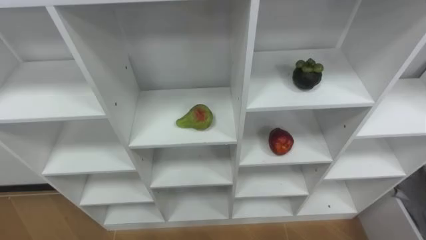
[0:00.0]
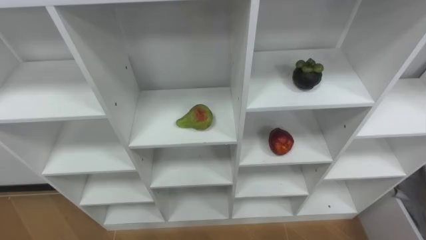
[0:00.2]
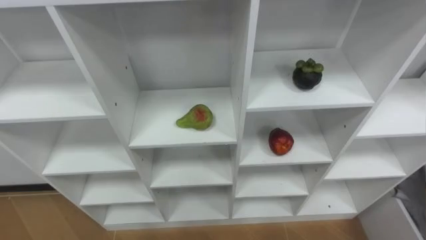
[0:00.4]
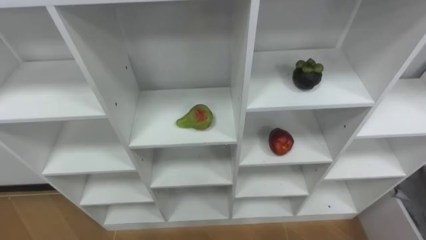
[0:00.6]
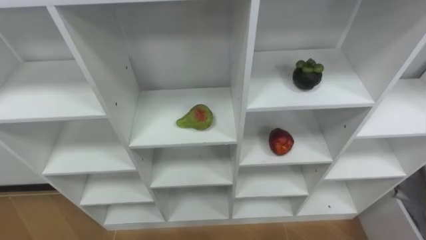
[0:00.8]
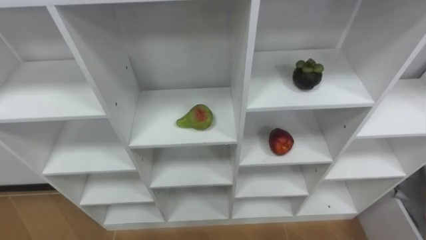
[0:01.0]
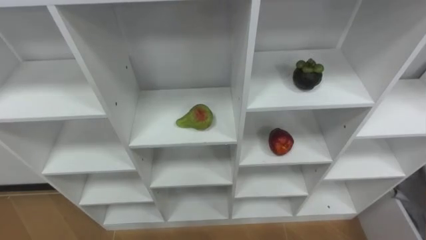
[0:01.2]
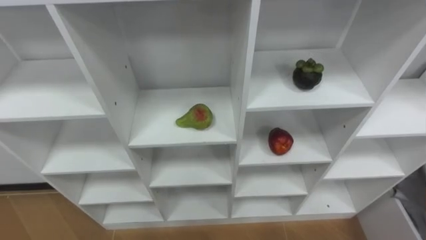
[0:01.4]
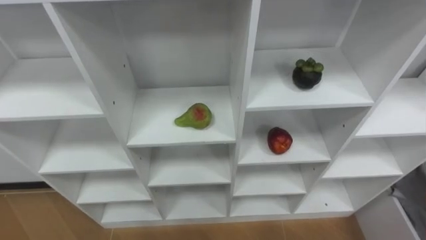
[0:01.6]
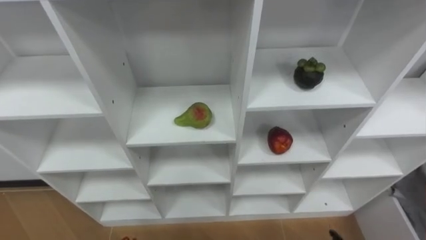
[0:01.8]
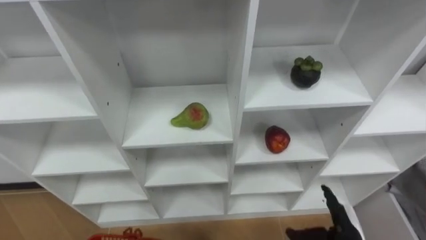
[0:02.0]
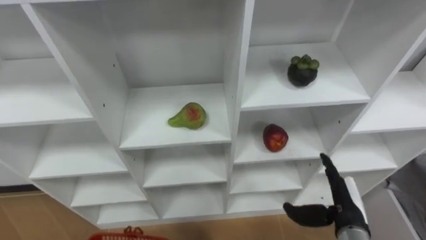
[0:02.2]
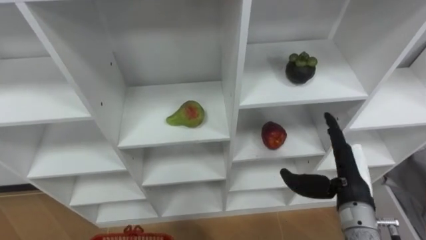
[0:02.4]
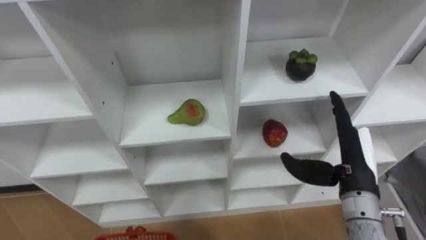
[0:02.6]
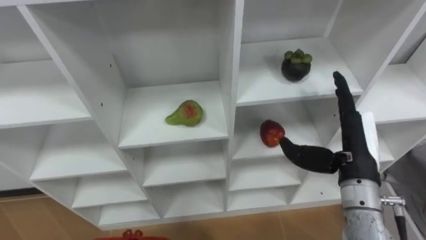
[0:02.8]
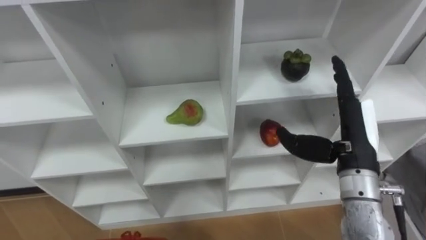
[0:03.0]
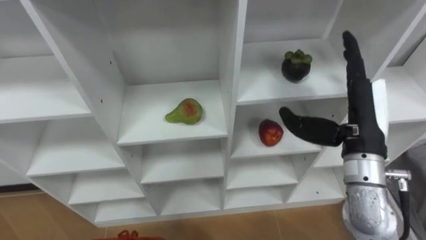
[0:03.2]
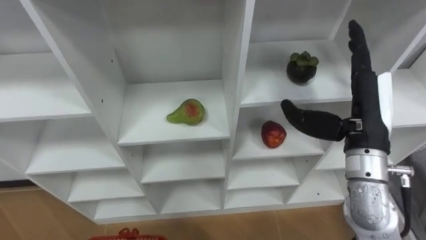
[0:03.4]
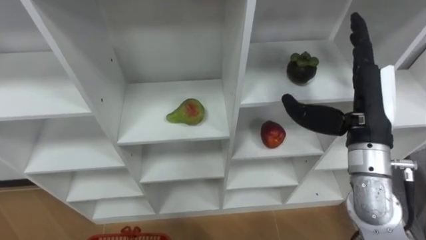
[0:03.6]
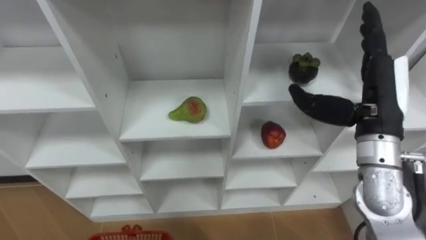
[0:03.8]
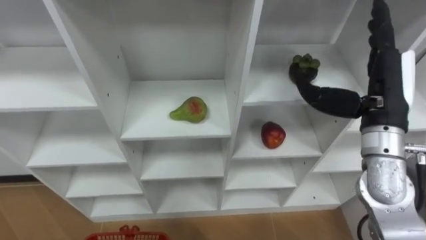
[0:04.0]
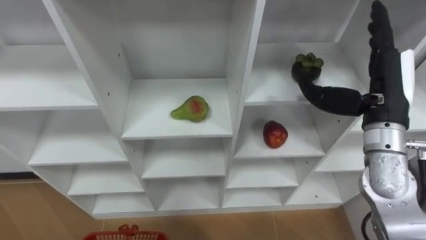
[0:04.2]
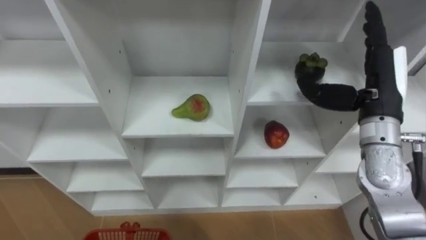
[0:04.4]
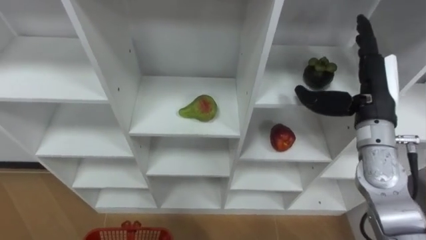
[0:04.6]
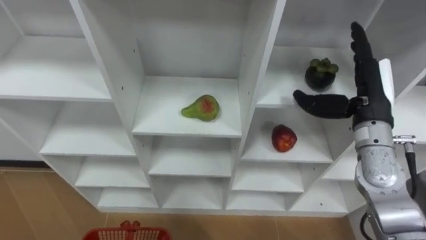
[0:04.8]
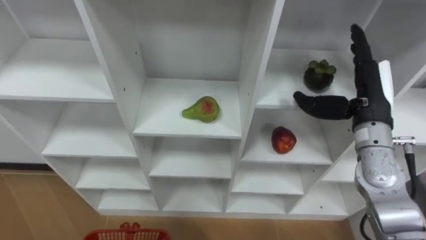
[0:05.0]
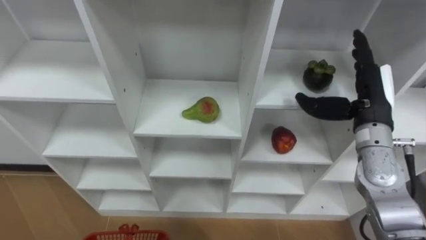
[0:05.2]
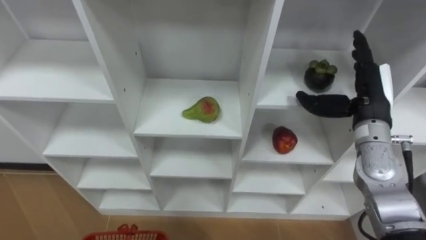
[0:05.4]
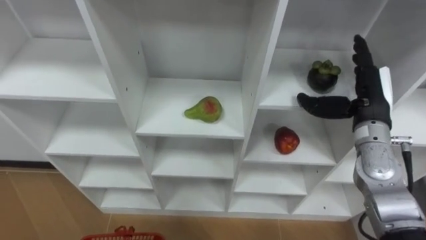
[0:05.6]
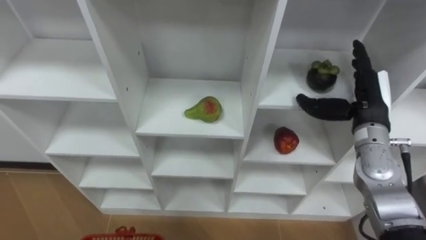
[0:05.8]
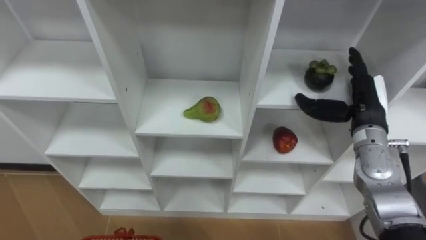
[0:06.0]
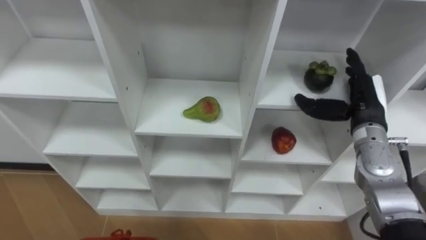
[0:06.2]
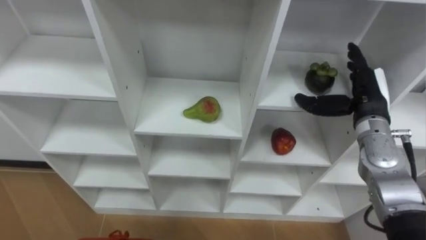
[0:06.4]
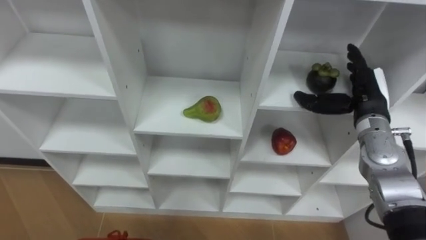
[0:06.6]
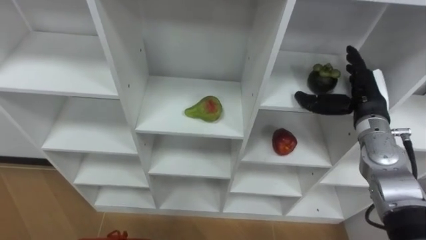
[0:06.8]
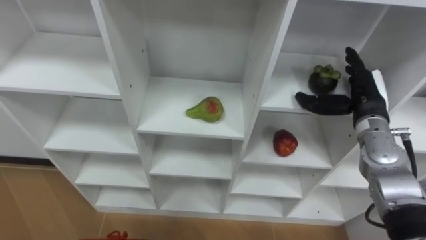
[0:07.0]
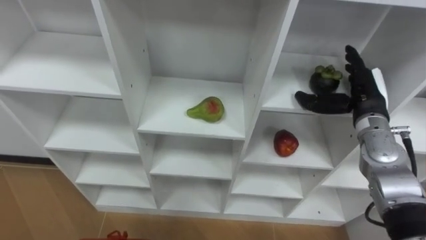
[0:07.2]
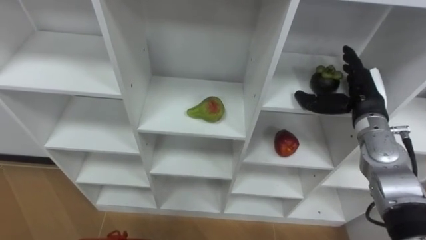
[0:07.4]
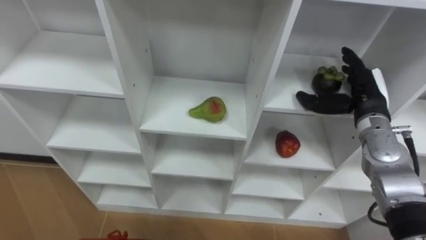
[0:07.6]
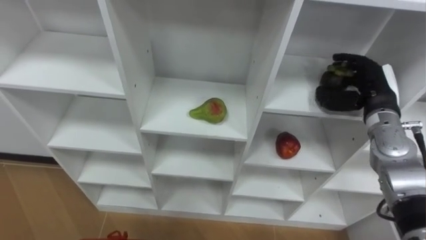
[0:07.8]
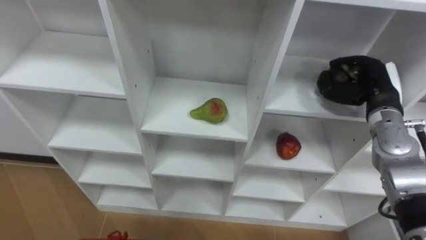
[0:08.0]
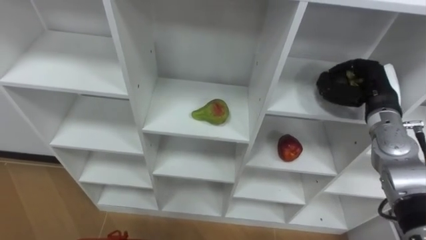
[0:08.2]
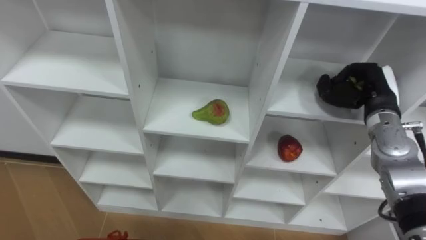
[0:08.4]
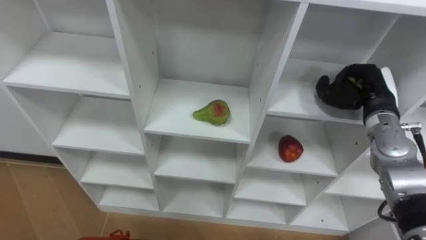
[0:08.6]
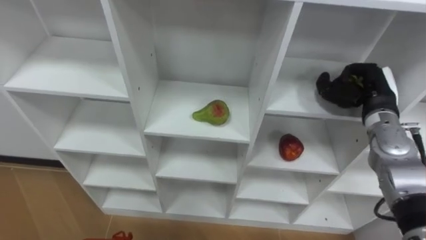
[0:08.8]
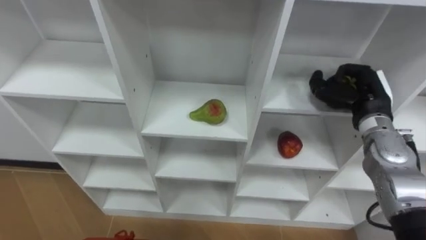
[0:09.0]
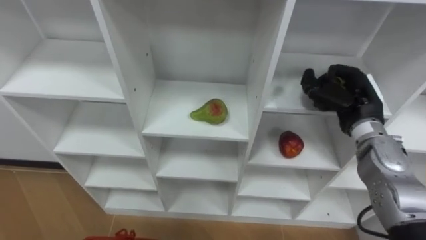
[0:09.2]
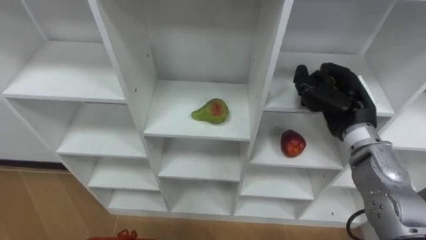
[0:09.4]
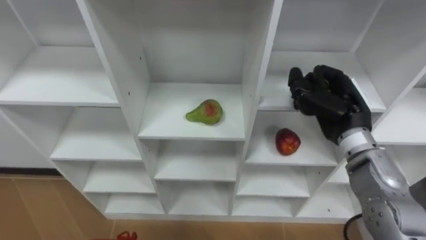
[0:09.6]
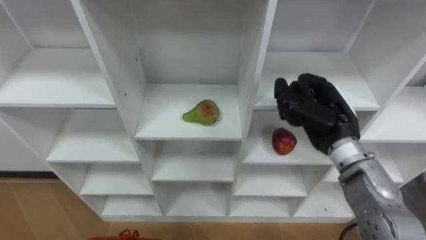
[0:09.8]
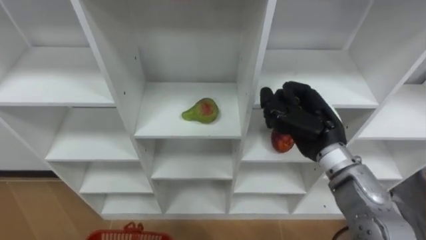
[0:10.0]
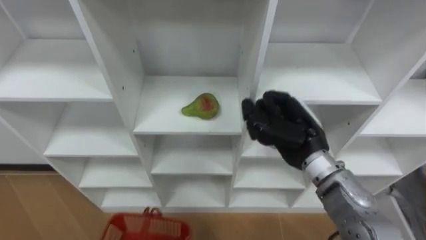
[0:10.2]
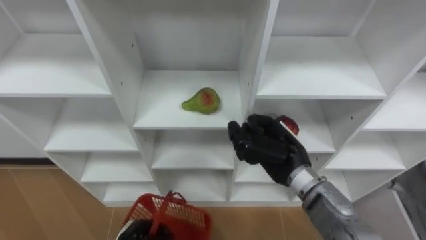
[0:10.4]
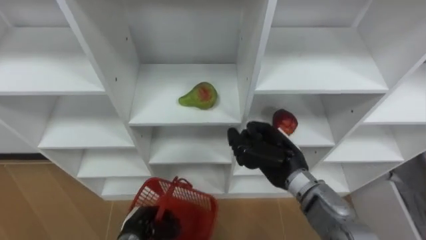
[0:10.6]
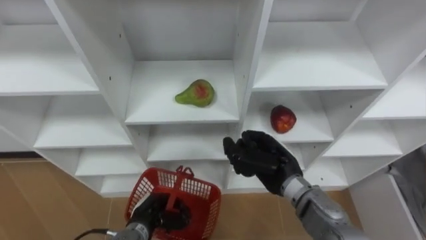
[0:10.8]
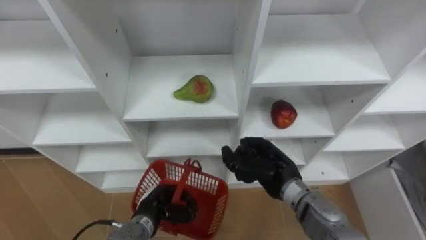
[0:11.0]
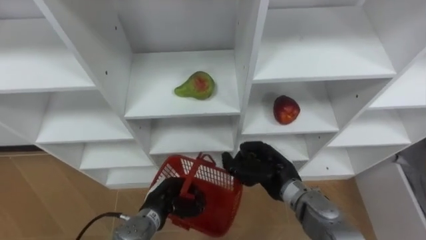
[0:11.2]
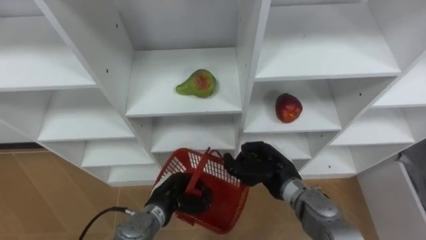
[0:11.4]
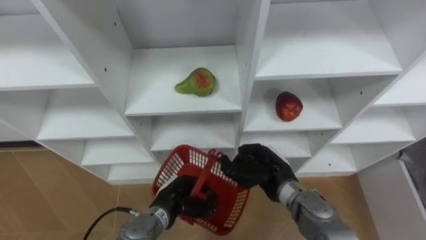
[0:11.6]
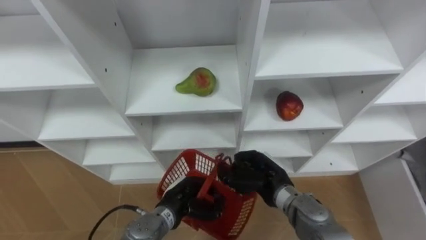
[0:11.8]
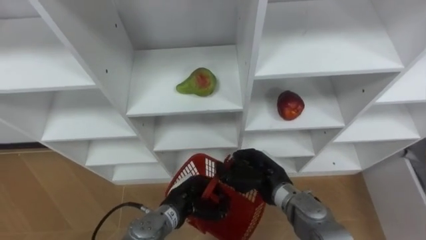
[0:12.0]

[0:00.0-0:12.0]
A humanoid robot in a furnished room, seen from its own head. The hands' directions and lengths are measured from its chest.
Task of the whole recording: Hold the basket and collect the fruits from 3 different cells of the closet into it.
0:03.0 to 0:04.4: The right hand heads forward, covering roughly 5 cm.
0:04.4 to 0:06.0: The right hand heads downward, covering approximately 10 cm.
0:07.6 to 0:09.0: The right hand closes.
0:09.0 to 0:10.4: The right hand heads to the left and backward, covering approximately 15 cm.
0:10.4 to 0:12.0: The right hand moves downward, roughly 10 cm.

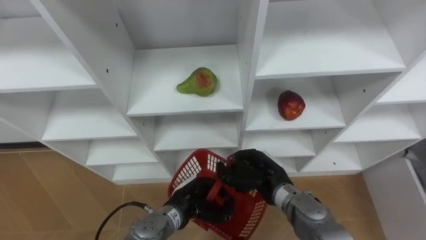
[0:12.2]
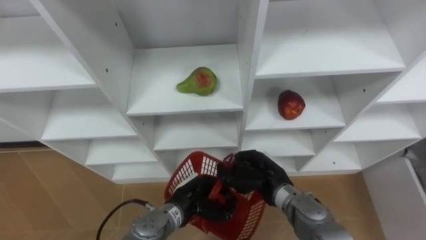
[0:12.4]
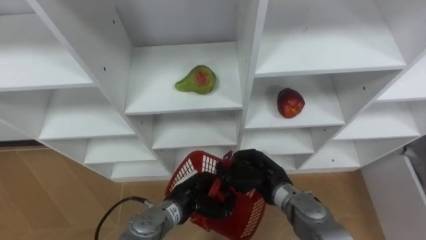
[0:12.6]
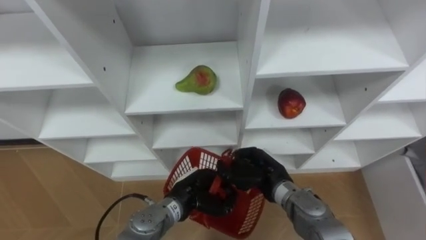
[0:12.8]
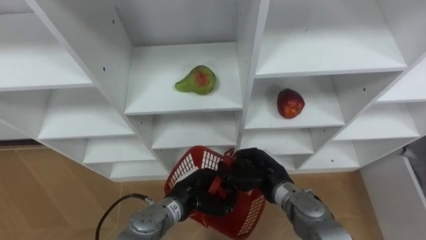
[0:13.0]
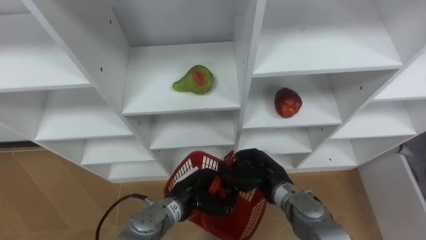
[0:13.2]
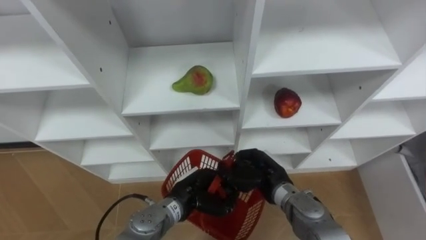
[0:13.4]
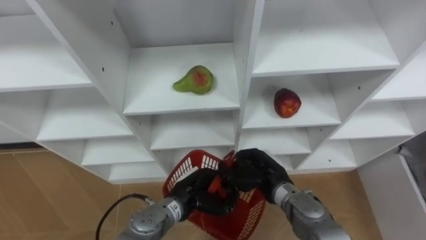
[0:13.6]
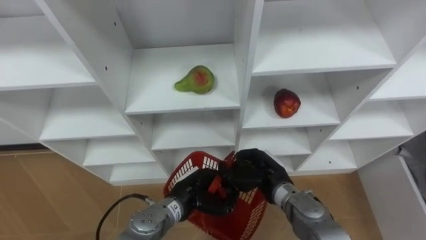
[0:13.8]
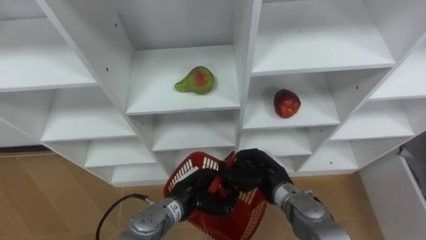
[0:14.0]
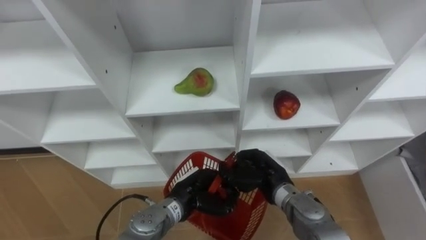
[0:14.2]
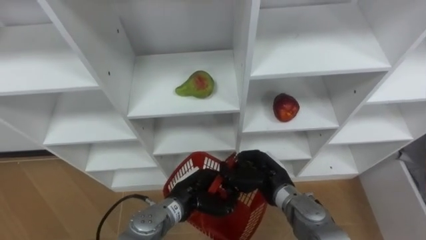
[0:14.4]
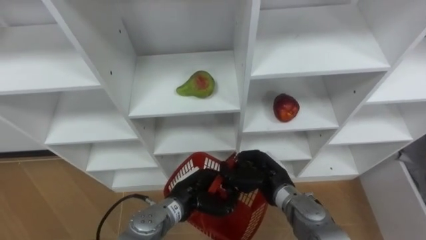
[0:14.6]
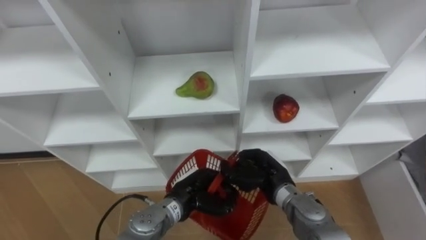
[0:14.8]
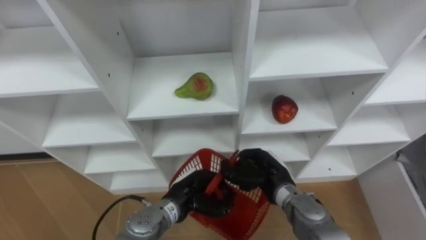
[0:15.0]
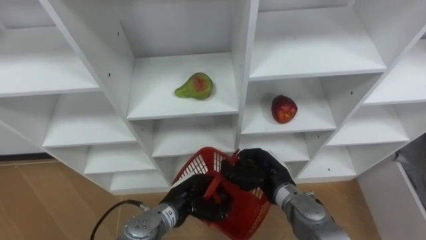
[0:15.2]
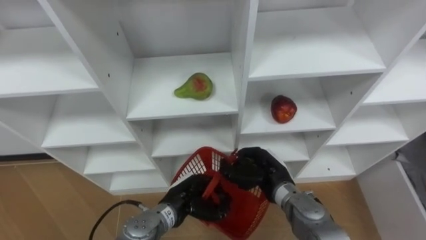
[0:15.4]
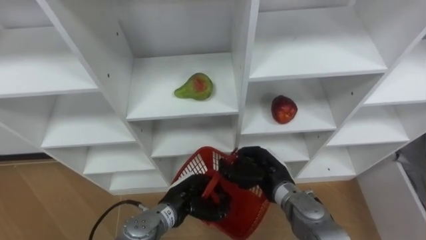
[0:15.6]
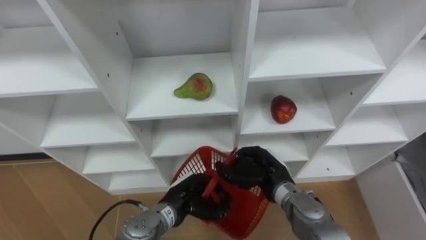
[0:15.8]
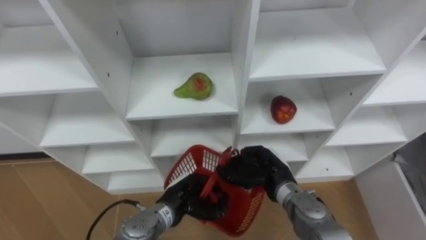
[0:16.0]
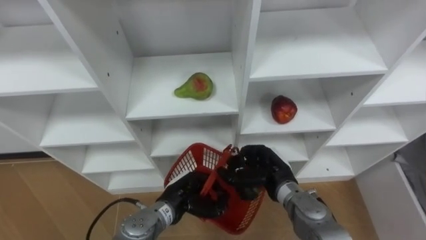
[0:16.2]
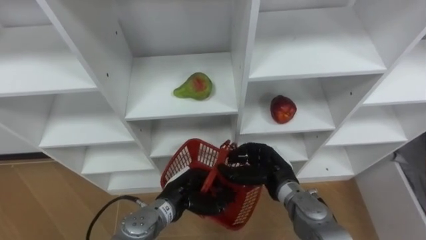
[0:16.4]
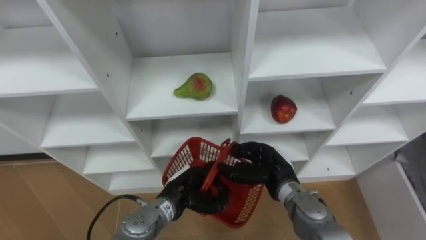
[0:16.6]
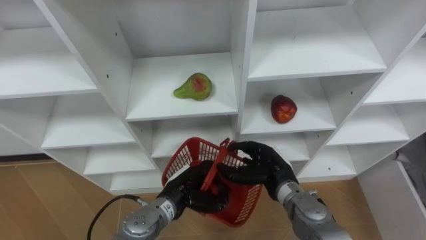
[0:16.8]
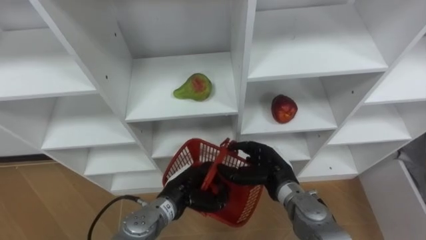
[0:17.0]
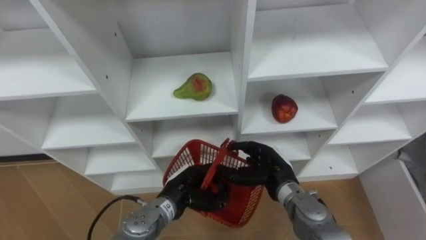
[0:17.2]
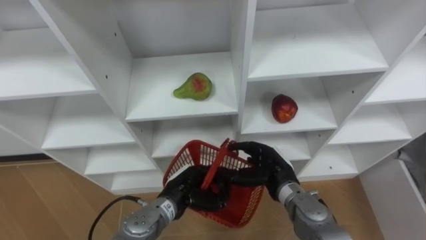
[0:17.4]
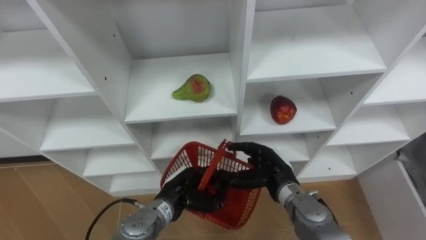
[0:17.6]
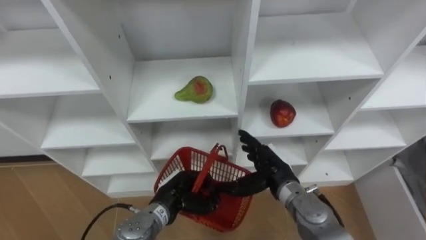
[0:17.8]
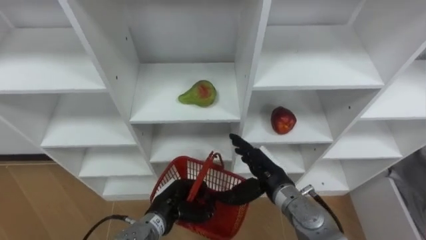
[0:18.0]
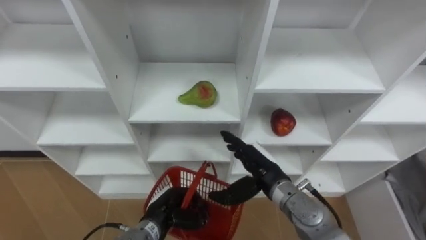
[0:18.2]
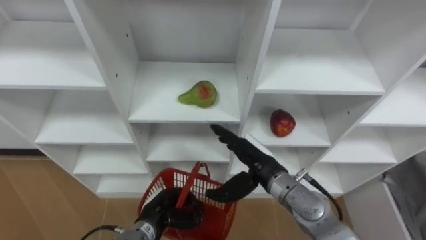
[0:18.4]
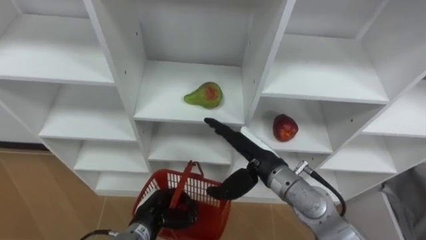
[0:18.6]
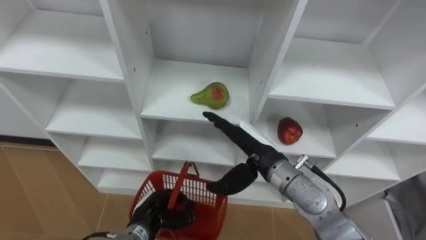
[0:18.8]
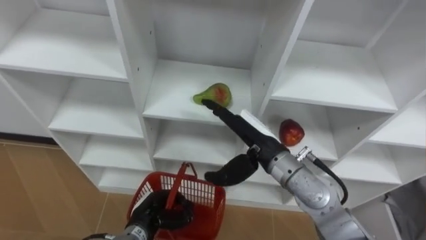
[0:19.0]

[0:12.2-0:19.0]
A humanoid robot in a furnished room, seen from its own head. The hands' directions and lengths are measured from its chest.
Task of the whole recording: Hold the basket and collect the fruits from 3 different cells of the closet into it.
0:12.2 to 0:13.6: There are only small adjustments of the hands.
0:15.0 to 0:16.2: The hands move only a little.
0:16.2 to 0:17.6: The right hand opens.
0:17.6 to 0:19.0: The left hand moves to the left, some 5 cm. The right hand is displaced upward by about 10 cm.
